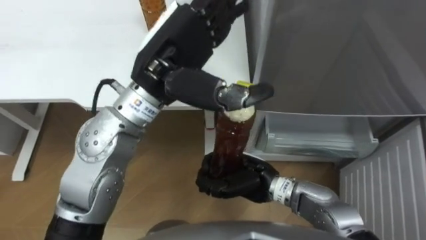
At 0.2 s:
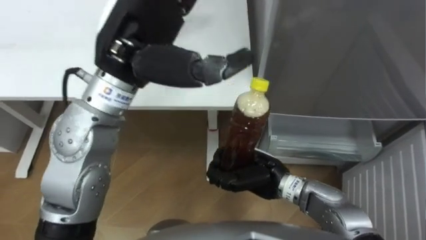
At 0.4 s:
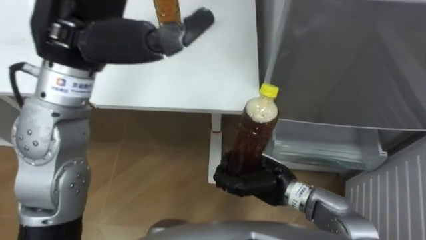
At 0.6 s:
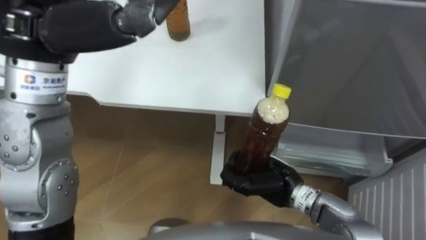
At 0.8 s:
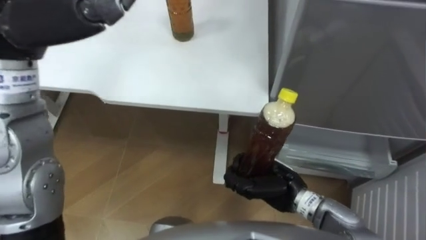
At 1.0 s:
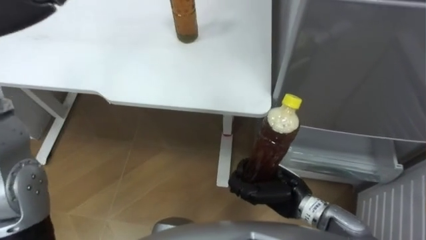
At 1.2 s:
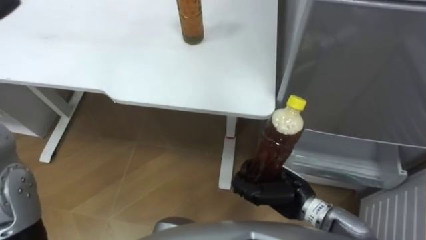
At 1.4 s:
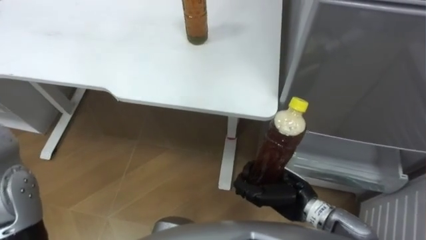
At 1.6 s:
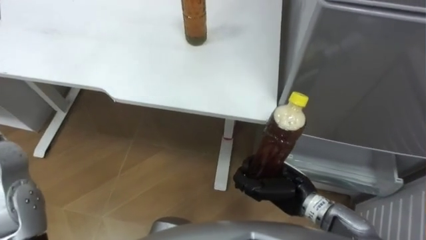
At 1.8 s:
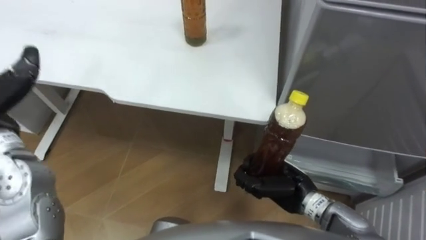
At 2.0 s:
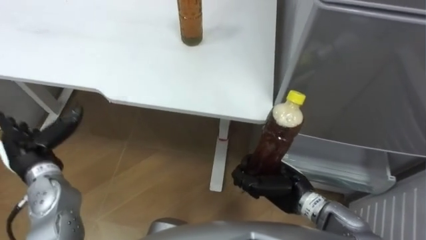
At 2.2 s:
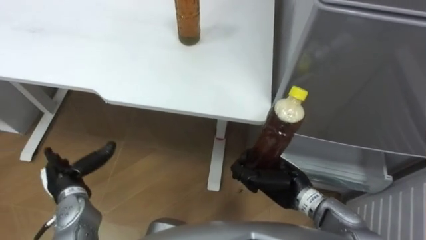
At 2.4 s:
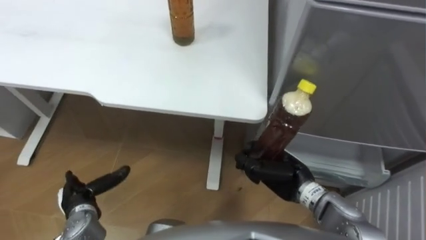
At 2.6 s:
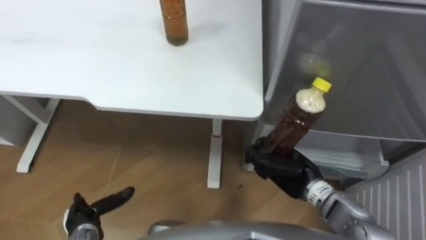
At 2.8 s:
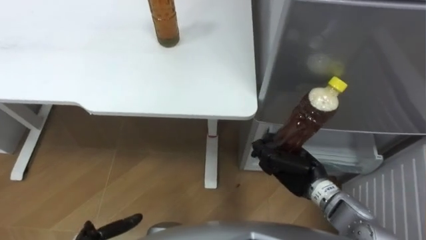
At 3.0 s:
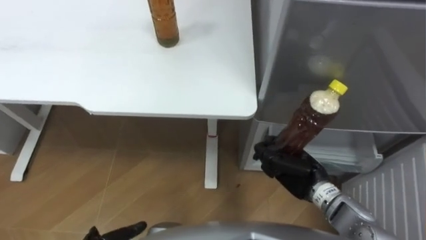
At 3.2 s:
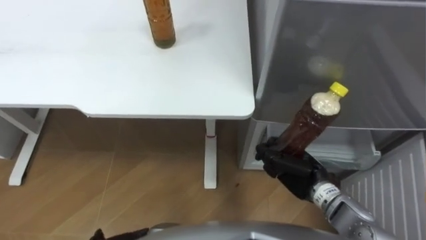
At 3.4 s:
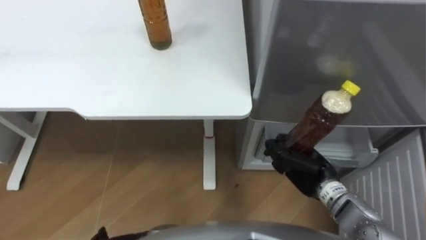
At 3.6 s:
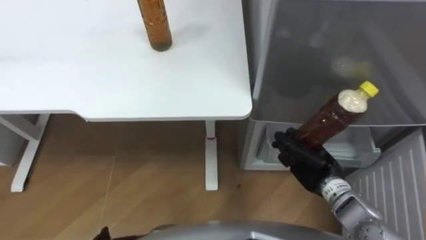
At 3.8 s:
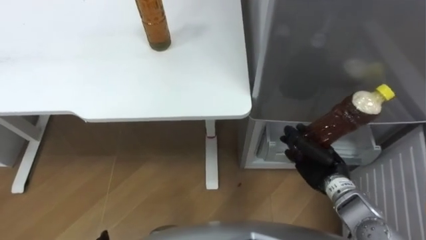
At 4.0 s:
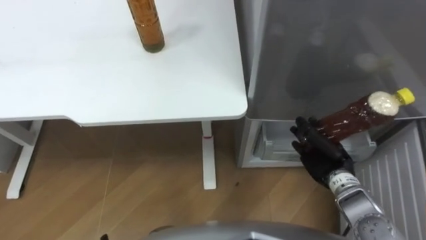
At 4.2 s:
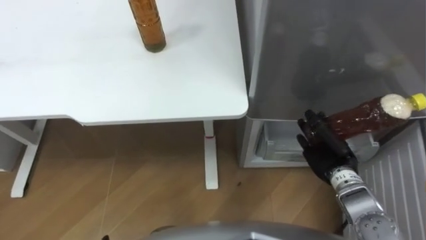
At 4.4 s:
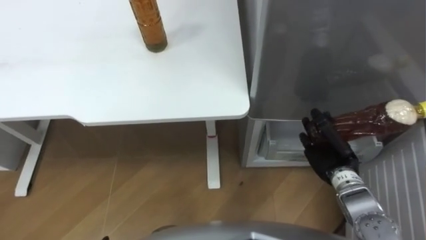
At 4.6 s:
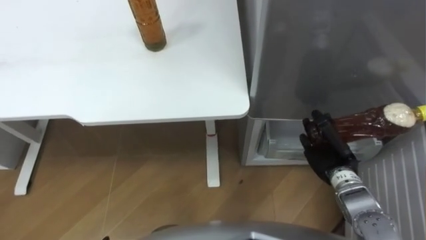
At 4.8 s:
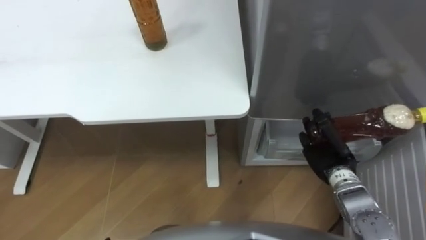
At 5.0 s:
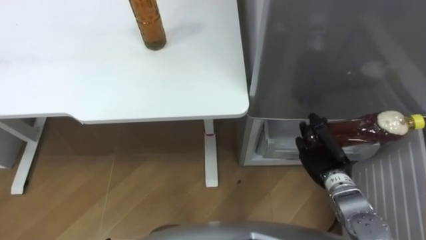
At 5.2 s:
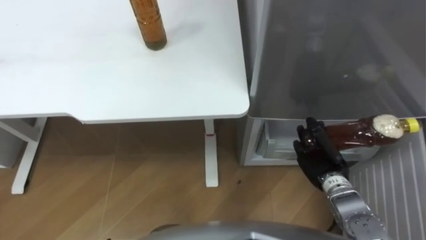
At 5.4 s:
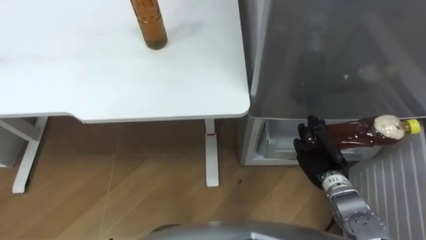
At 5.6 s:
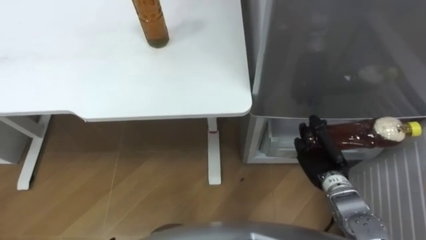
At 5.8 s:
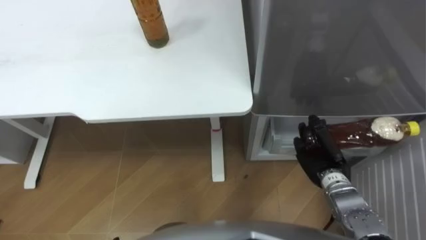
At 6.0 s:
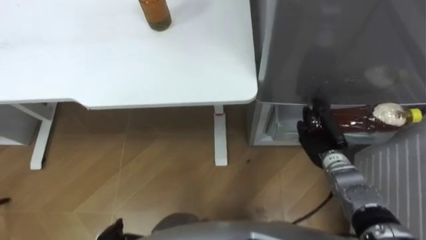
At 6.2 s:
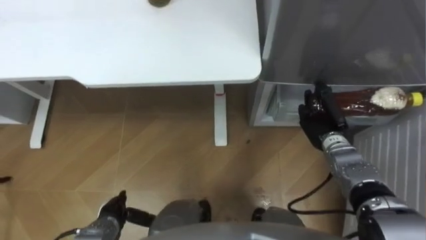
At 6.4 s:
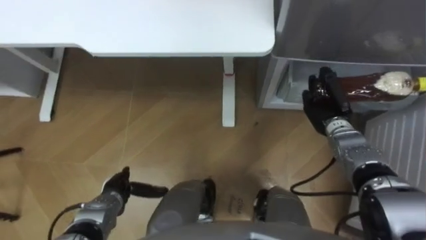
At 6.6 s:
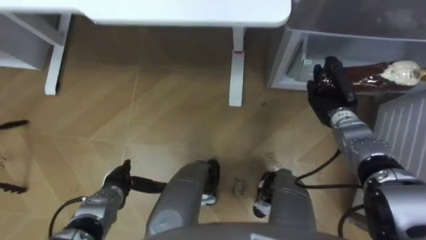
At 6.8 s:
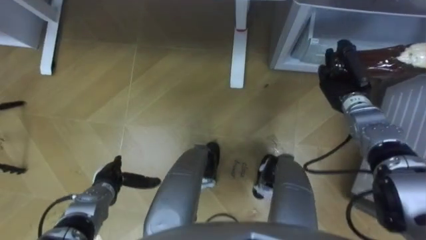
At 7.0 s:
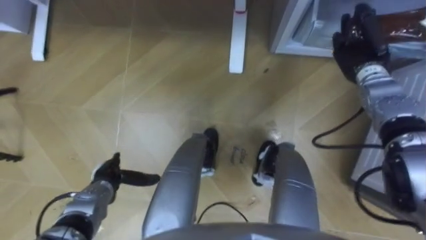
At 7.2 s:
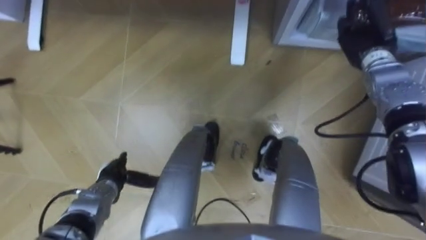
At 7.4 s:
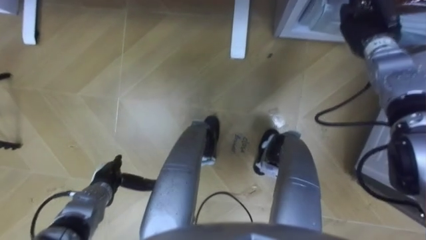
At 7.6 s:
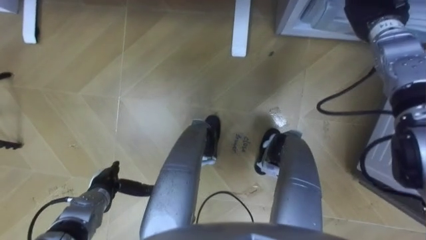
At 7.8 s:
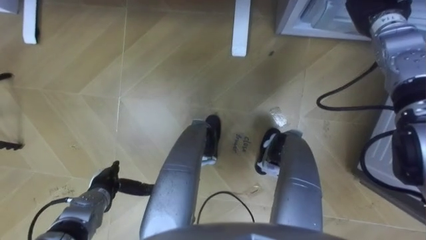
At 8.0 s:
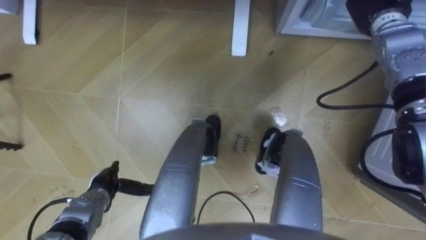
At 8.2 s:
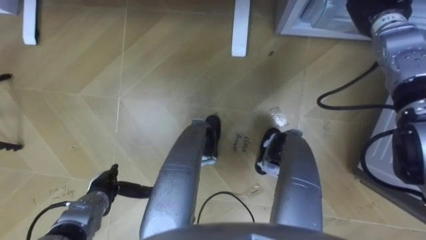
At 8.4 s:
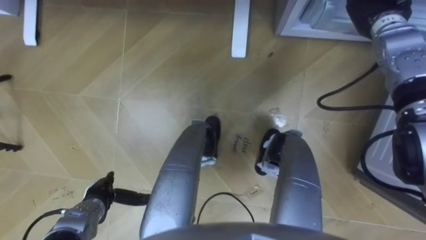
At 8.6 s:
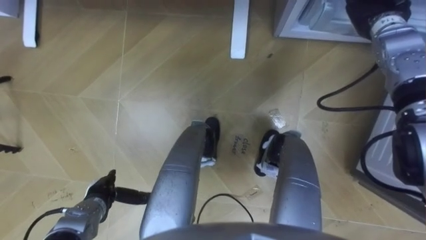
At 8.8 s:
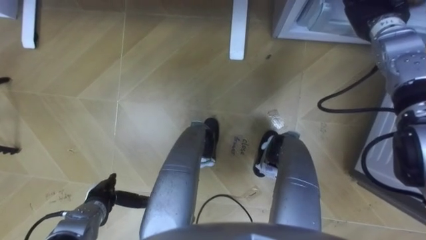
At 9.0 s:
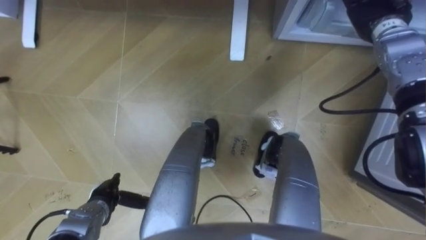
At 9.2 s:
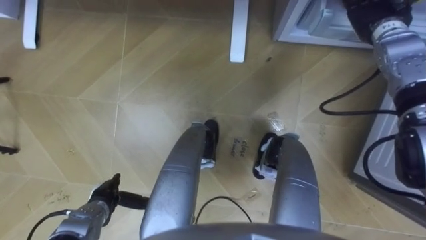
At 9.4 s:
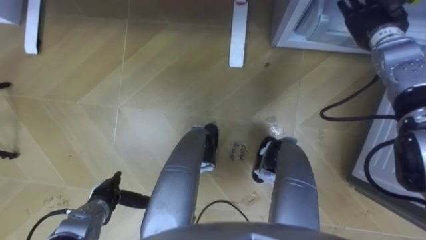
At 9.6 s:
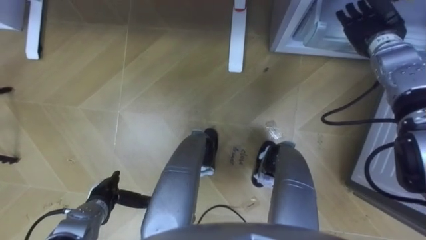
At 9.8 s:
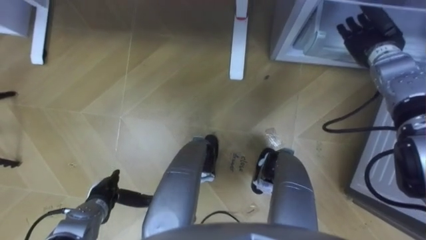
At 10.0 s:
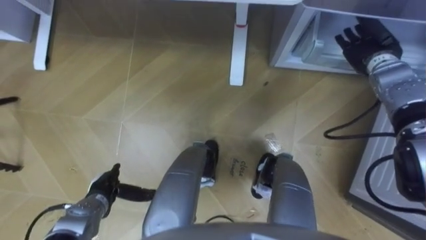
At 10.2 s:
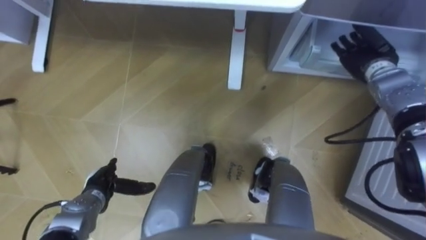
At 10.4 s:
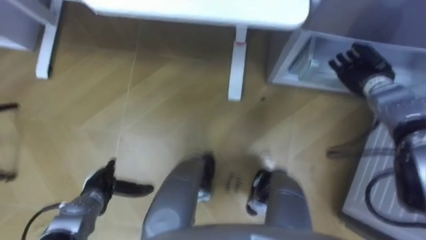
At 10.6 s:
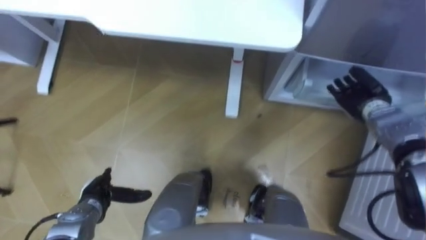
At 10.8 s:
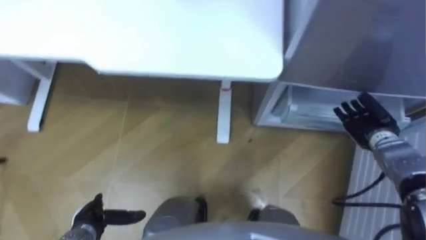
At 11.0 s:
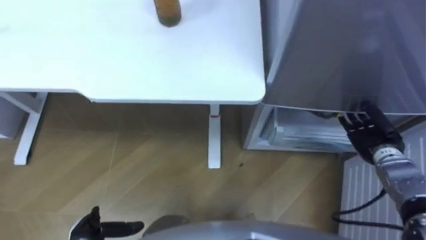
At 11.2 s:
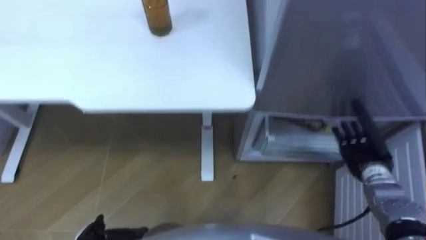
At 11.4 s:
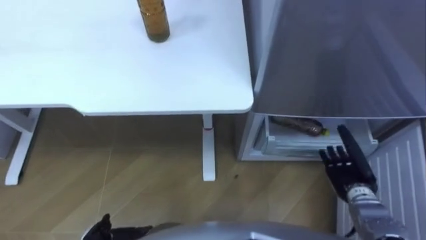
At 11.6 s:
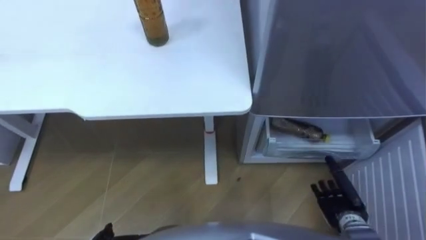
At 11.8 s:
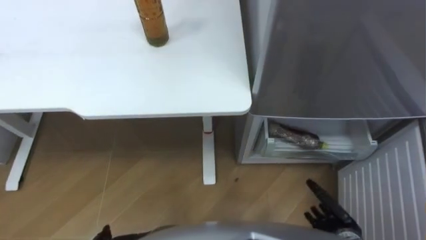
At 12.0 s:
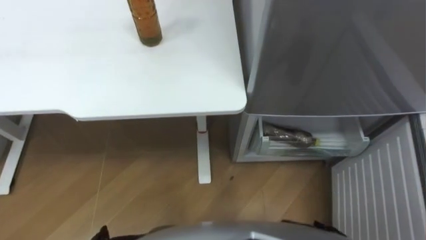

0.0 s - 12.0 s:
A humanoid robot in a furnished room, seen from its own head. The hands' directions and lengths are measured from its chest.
Task of the whole recording: Place the drink on the table on the bottom shelf of the refrigerator, then close the drawer and the refrigerator door.
0.0 s - 1.6 s: The right hand goes about 10 cm to the right.
3.0 s - 4.4 s: The right hand goes roughly 5 cm to the right.
6.0 s - 7.6 s: The right hand travels upward and forward by some 30 cm.
9.0 s - 10.4 s: The right hand heads downward and backward, covering approximately 15 cm.

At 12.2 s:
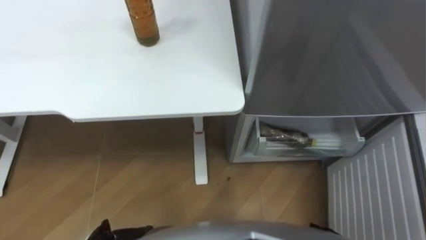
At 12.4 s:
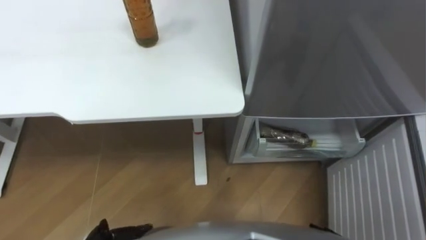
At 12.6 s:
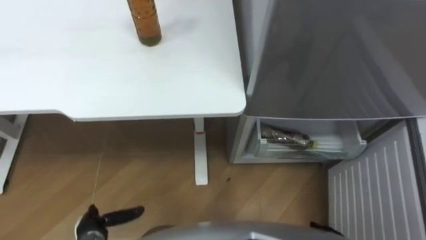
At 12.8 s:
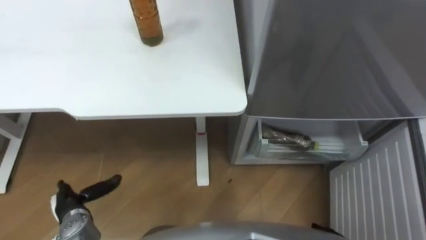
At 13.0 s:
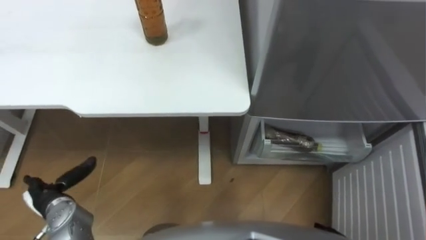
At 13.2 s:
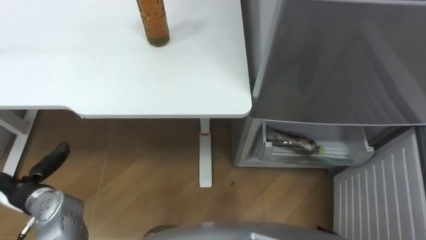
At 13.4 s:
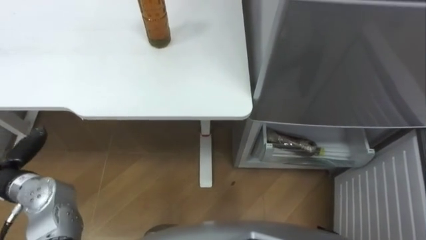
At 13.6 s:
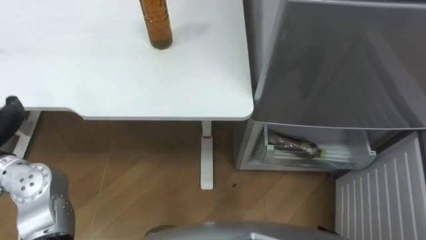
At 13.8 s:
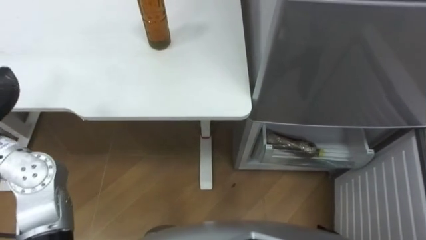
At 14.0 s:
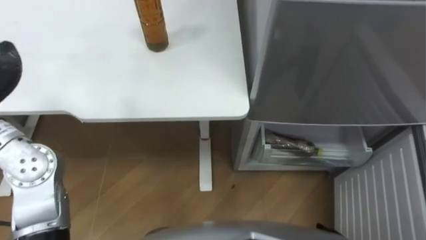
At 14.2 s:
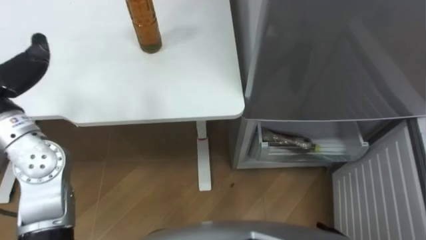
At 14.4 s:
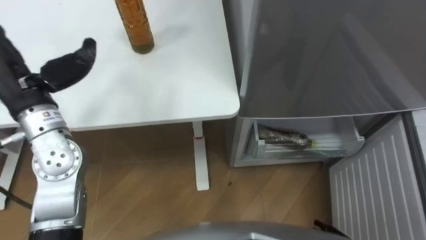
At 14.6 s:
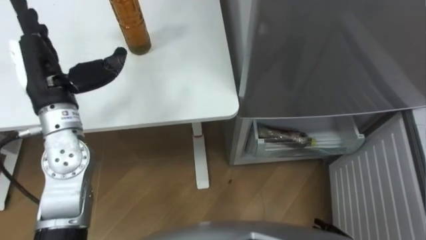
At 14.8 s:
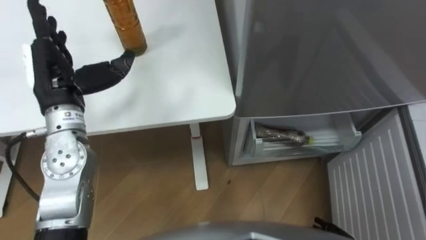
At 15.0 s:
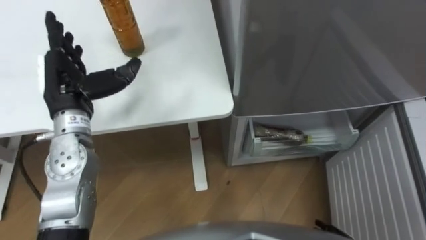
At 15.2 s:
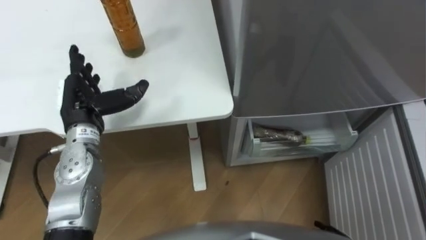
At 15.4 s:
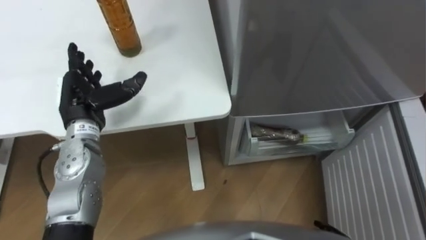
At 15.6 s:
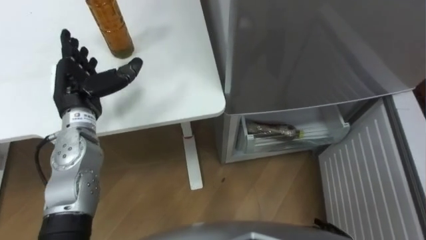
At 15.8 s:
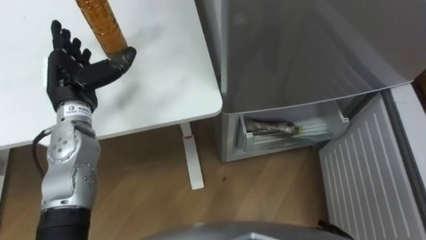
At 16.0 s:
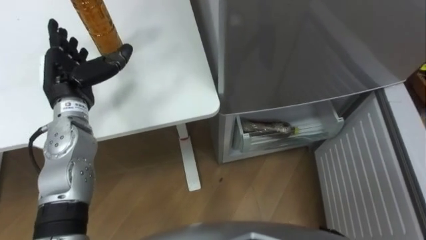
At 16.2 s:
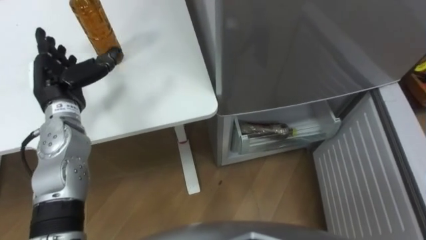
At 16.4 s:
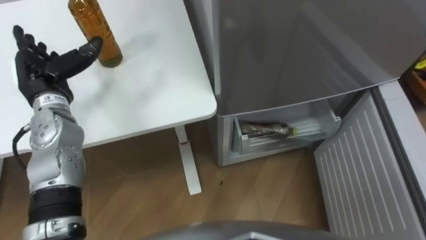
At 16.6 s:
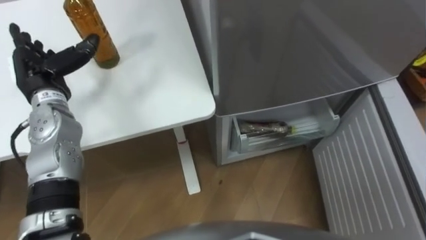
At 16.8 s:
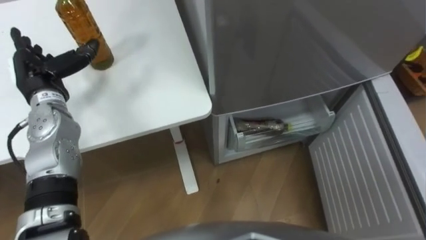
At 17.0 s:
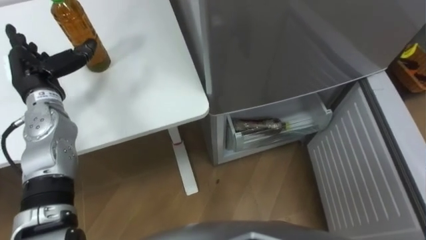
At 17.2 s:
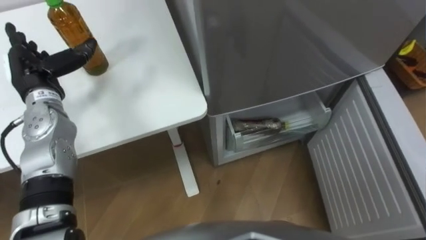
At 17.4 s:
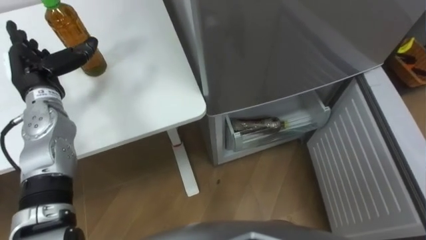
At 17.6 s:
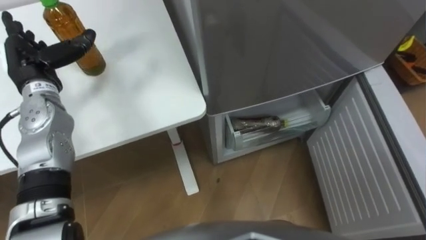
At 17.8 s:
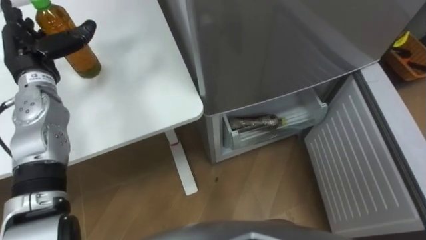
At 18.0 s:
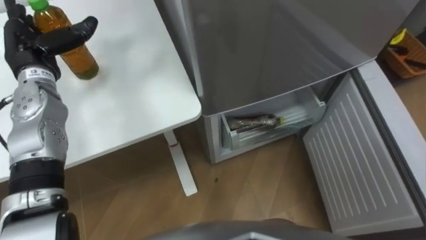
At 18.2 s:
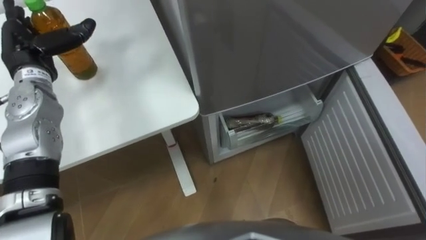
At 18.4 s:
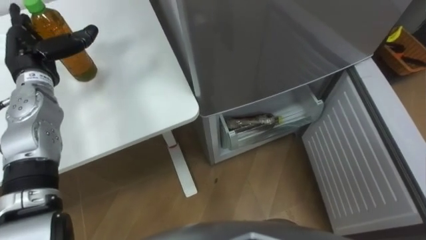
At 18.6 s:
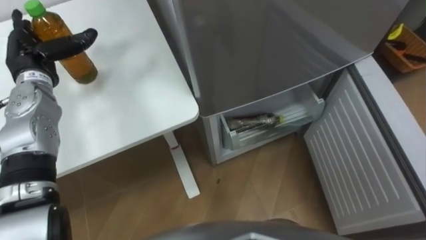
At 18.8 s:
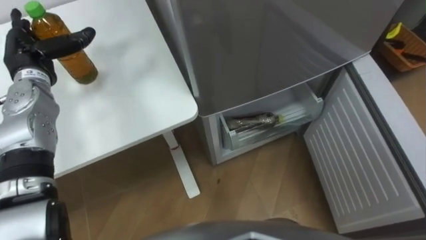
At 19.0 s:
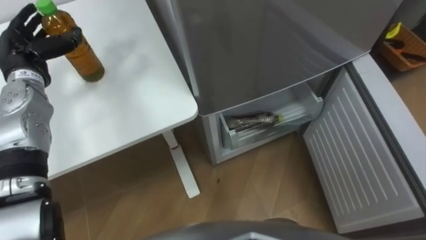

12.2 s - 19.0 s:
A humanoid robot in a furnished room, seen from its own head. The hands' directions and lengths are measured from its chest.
Task of the whole recording: Place the drink on the table on the bottom shelf of the refrigerator, then close the drawer and the refrigerator door.
16.2 s - 17.6 s: The left hand moves about 5 cm.
